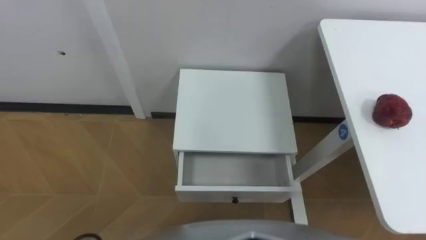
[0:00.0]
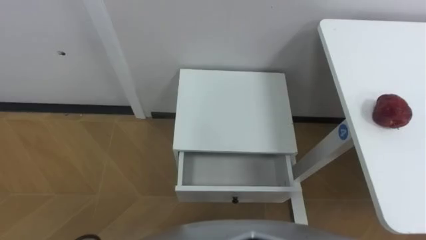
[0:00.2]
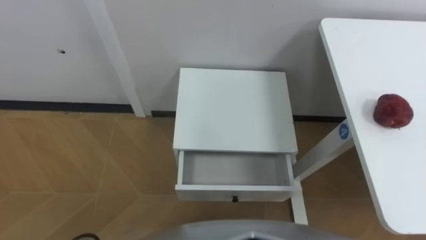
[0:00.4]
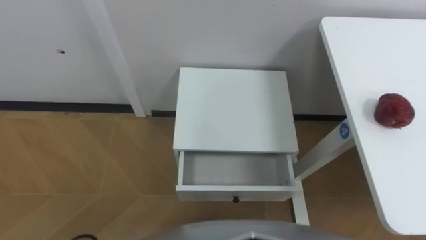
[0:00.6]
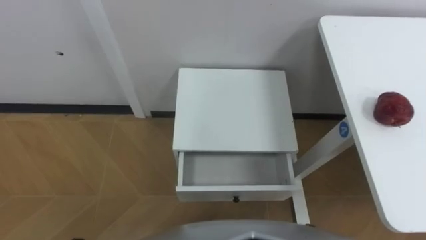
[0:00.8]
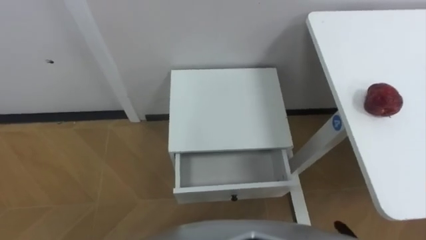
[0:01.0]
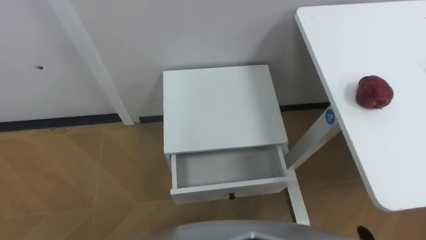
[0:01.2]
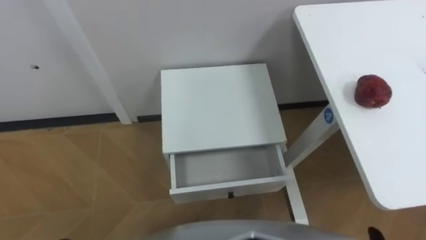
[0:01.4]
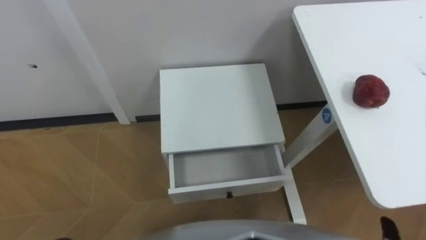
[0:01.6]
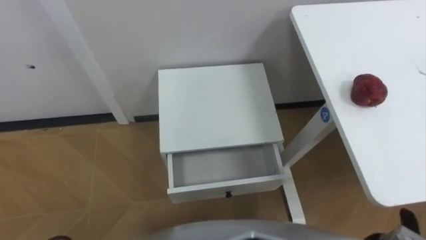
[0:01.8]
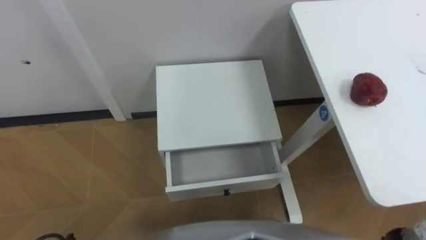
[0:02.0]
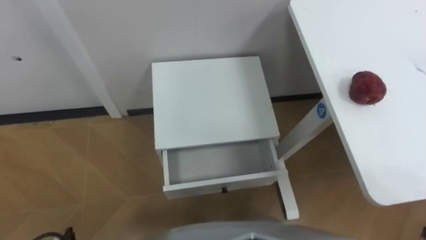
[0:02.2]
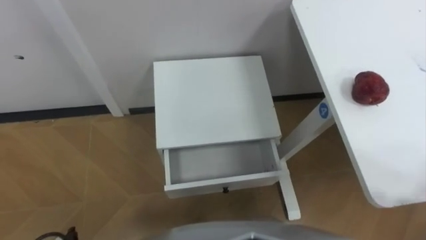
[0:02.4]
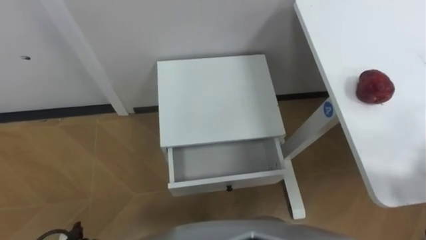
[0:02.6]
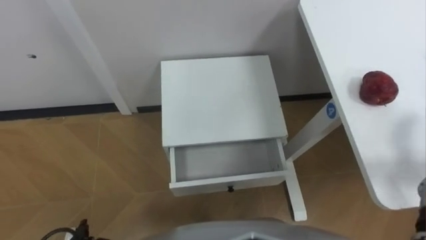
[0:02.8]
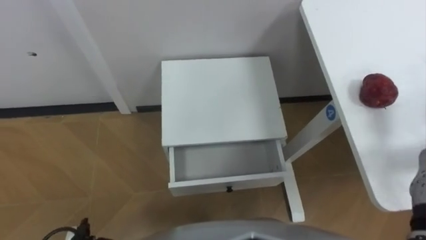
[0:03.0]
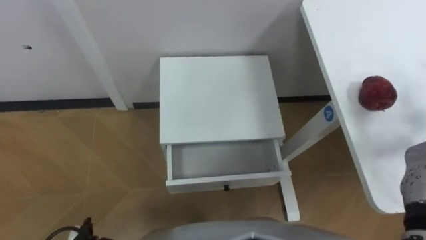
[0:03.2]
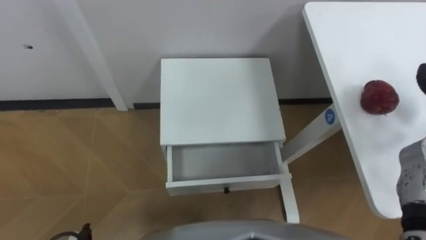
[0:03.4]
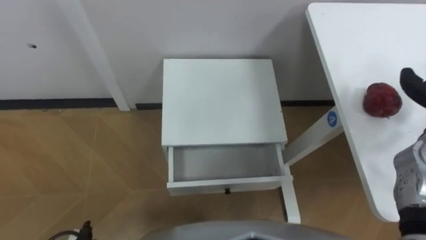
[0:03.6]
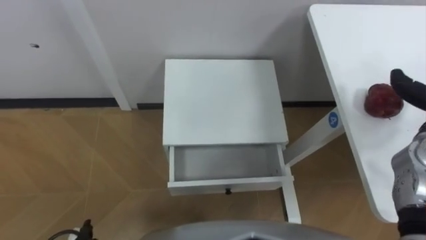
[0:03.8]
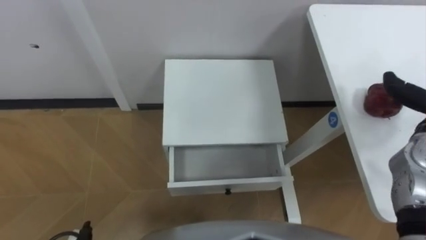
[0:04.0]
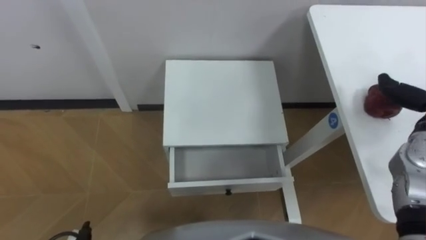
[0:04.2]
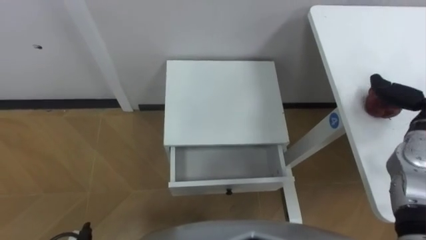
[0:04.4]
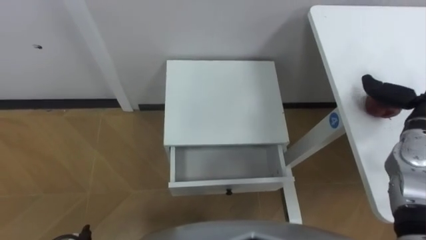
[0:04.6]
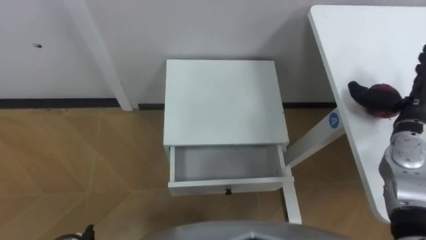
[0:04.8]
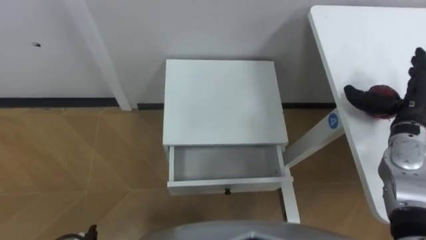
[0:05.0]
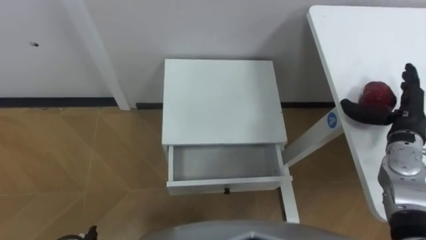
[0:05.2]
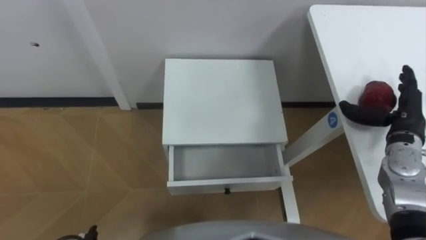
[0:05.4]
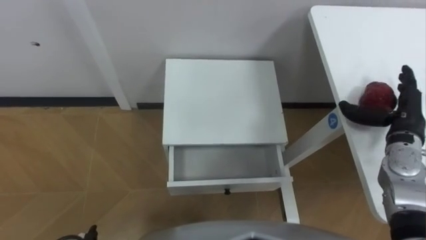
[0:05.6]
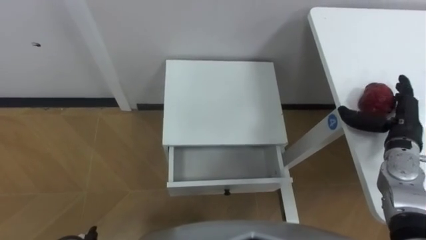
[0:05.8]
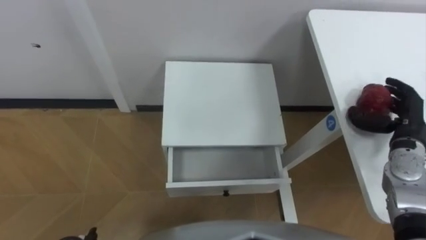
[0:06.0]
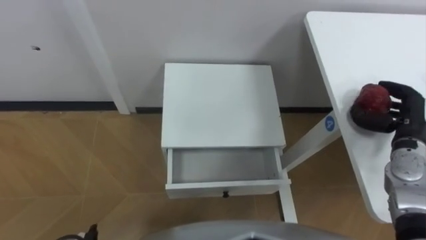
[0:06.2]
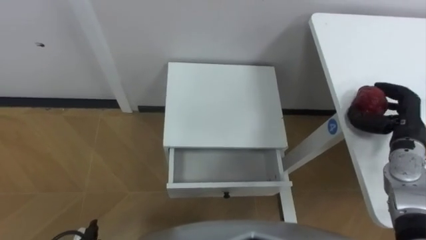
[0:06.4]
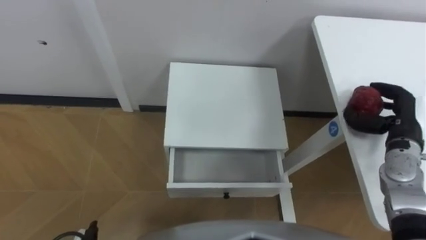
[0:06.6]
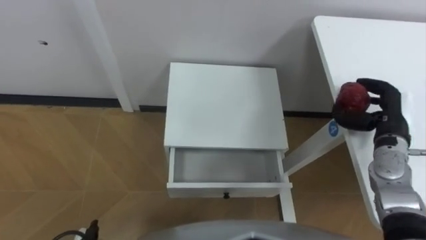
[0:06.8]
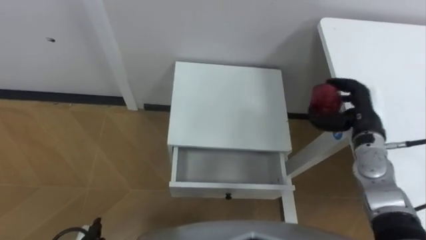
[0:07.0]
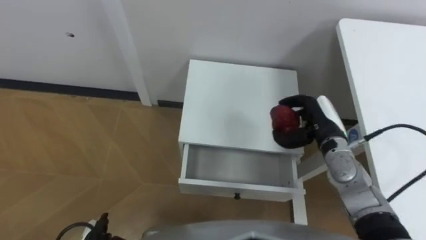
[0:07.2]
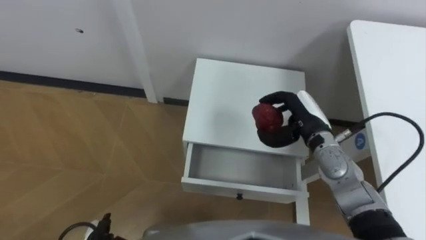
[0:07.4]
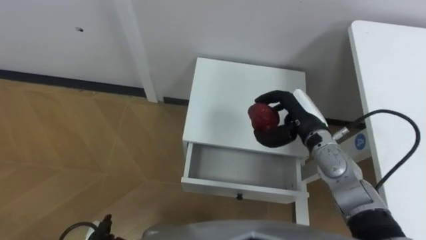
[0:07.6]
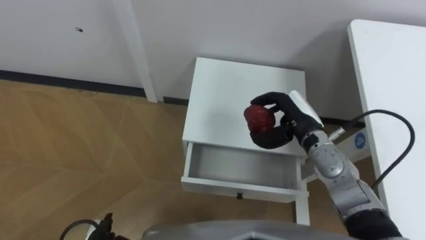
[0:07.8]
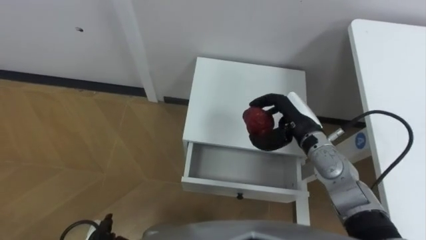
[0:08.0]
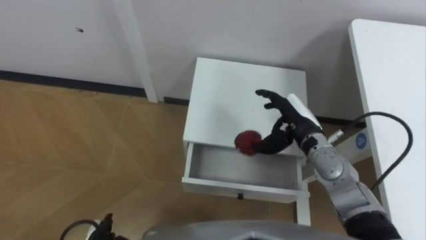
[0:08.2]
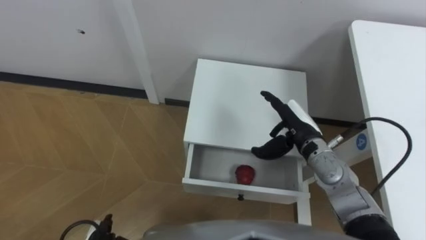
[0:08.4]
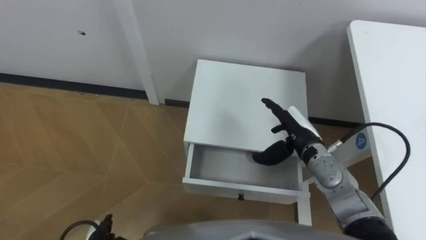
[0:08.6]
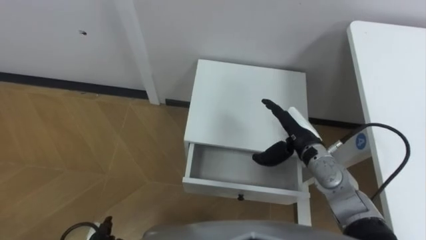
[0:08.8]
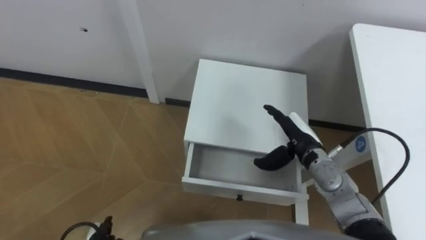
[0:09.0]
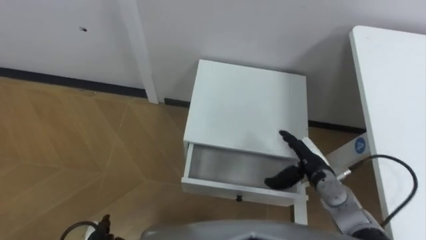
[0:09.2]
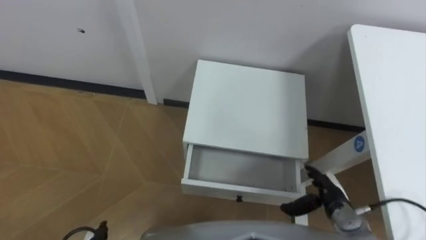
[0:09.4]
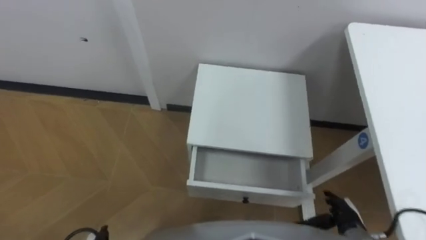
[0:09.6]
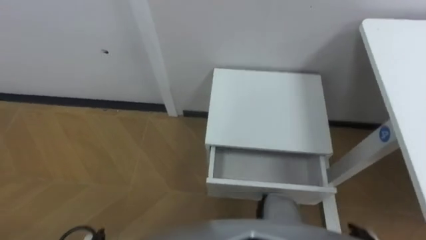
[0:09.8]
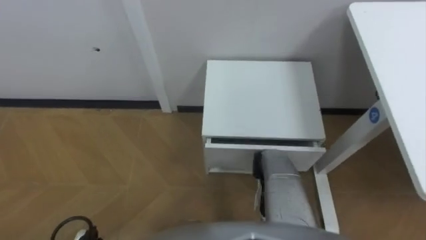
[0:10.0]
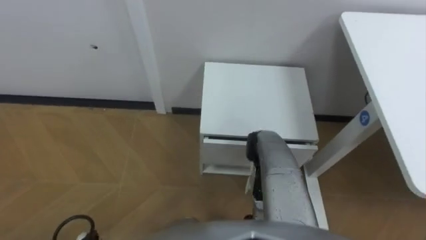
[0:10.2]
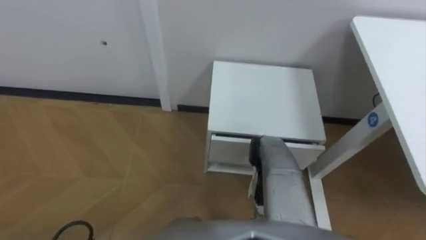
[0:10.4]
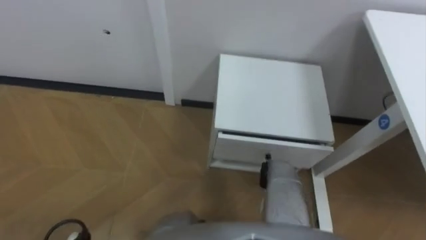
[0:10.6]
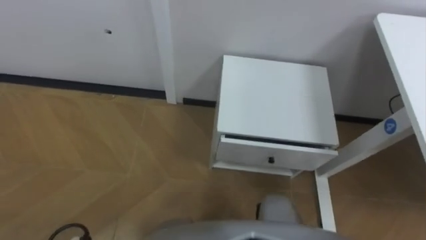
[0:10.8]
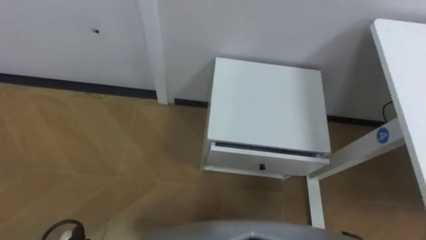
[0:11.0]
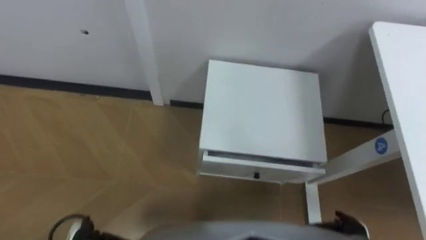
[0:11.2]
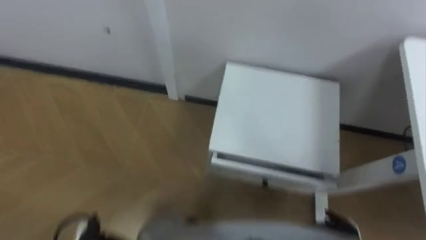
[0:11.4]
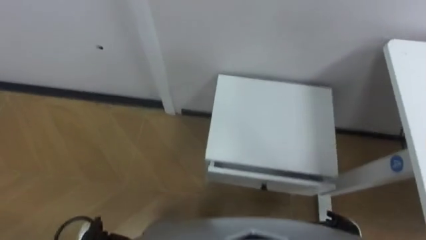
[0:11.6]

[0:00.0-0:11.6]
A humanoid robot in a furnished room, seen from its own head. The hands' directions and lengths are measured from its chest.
Task of the whole recording: Pick up the apple from the table, put it in the drawer, and close the drawer with leg.
0:05.8 to 0:07.2: The right hand heads to the left, covering approximately 15 cm, and closes.
0:07.2 to 0:08.8: The right hand shifts some 5 cm to the left, and opens its fingers.

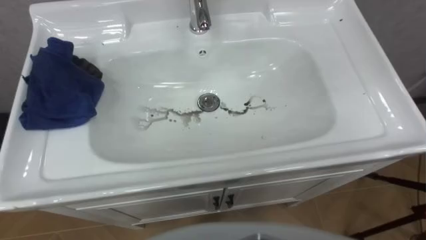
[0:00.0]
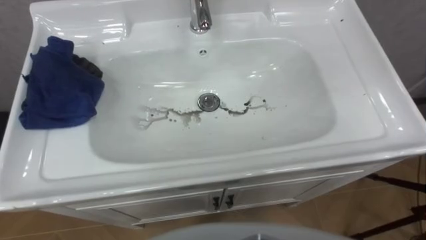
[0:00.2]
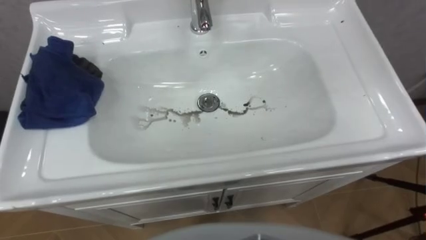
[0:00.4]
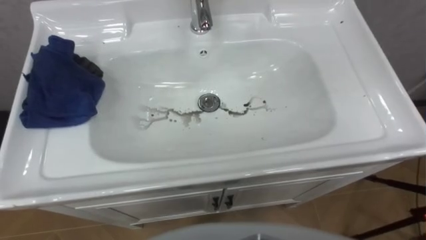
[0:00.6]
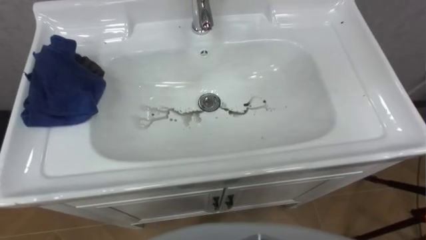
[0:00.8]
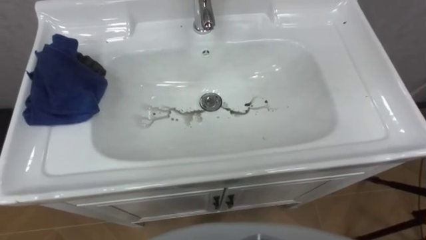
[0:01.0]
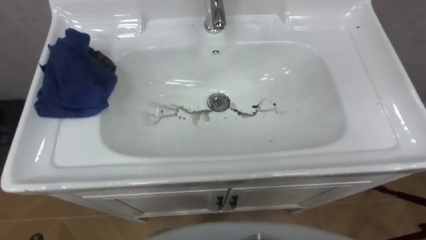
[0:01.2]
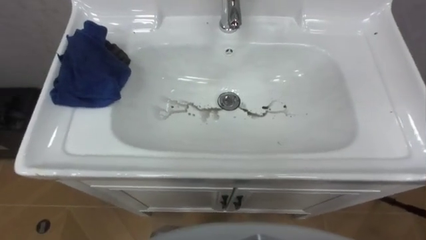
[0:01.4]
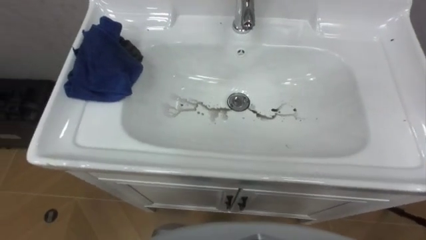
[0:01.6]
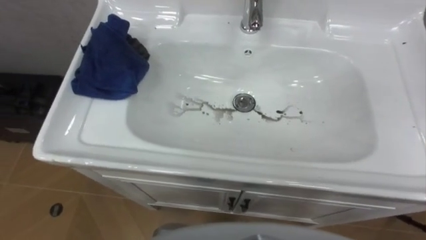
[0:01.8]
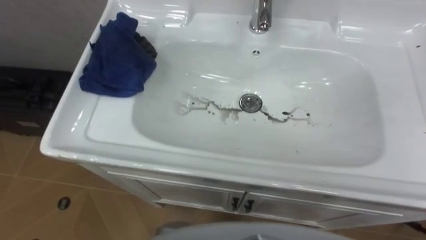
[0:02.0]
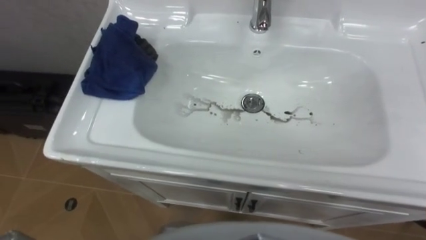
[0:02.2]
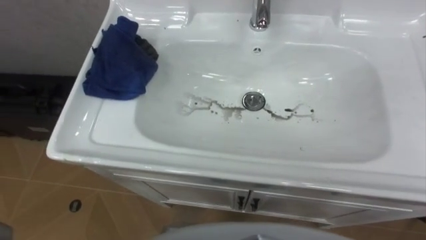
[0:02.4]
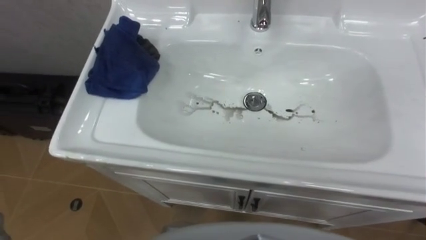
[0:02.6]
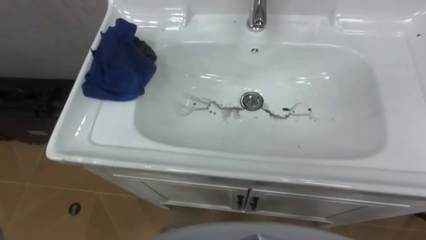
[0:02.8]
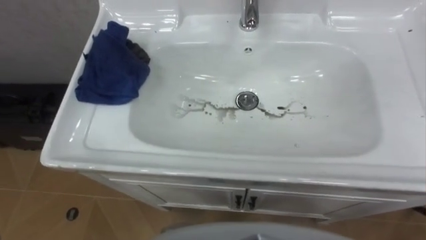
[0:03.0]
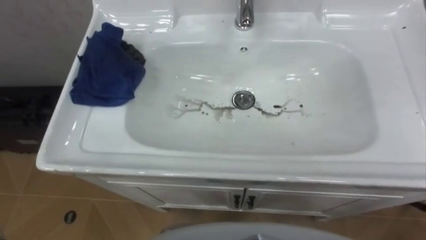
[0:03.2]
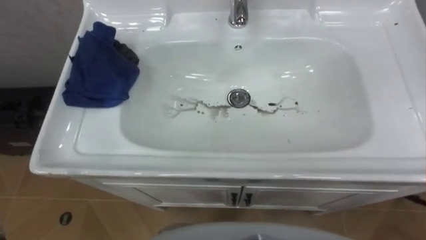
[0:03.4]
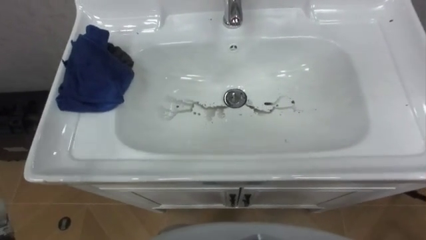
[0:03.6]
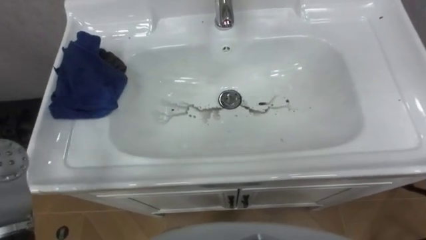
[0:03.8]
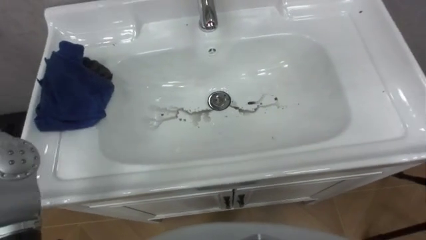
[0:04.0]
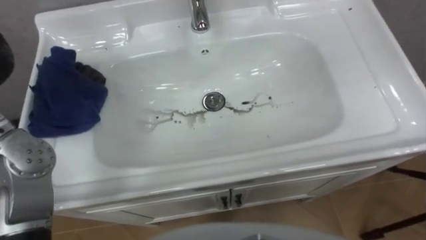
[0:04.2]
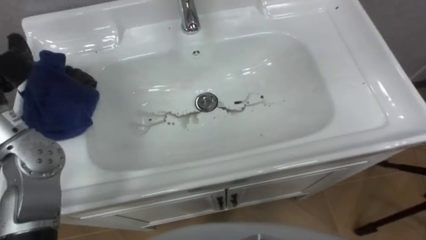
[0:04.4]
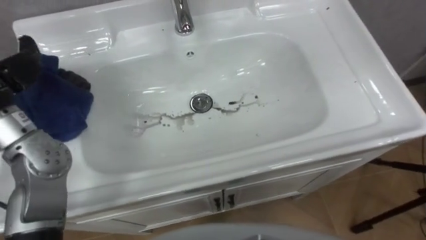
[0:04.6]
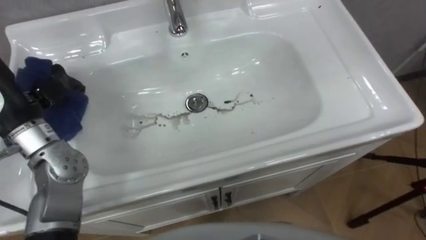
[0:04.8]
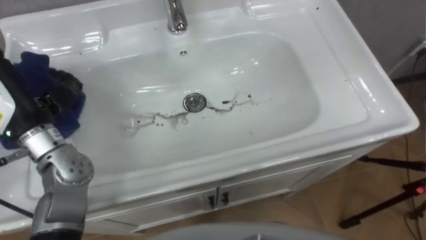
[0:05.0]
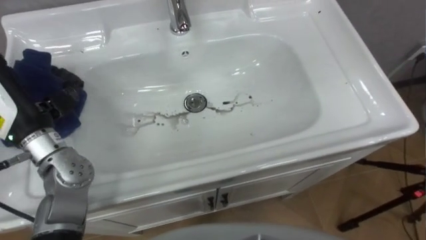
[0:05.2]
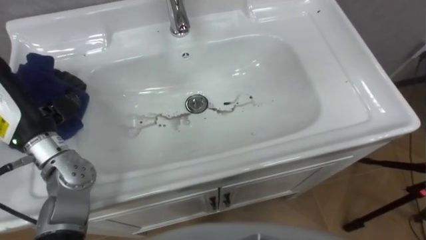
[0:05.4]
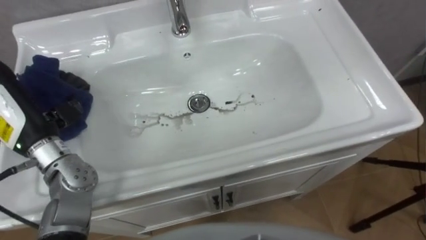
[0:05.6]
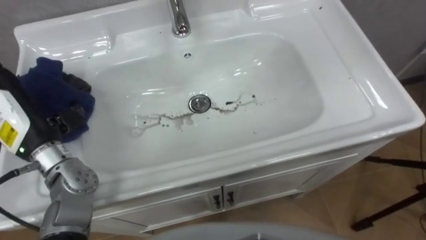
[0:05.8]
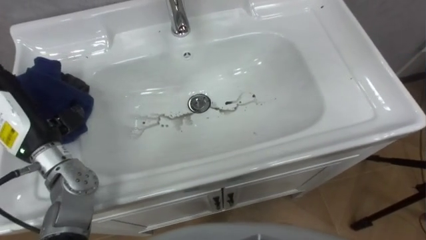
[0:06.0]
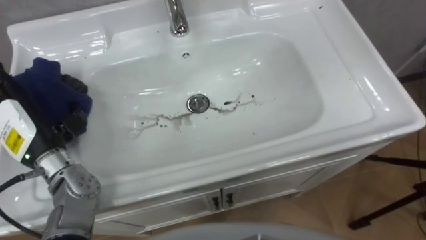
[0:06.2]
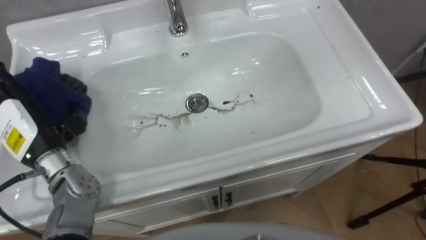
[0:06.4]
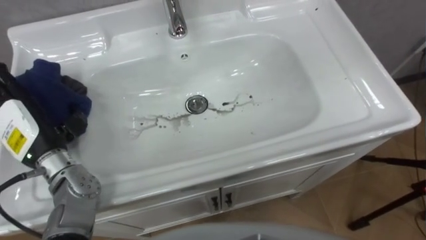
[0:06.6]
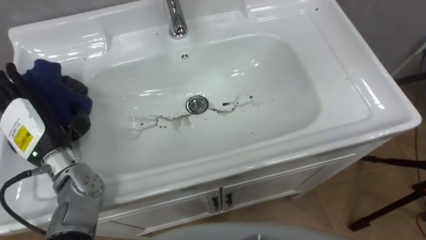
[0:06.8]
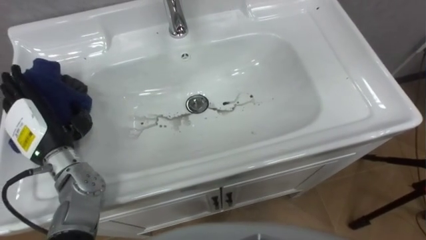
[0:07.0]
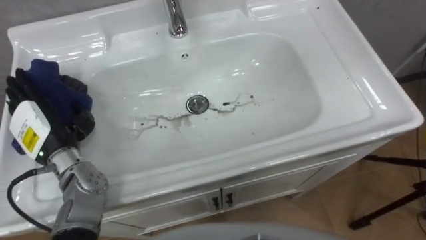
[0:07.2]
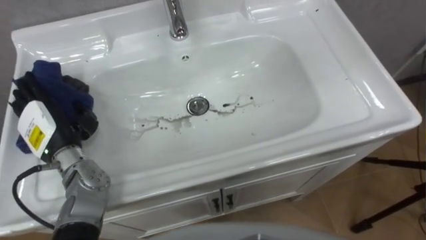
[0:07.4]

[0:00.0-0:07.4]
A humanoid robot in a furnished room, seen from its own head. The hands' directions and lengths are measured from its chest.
Task of the whole recording: Use the cloth on the right to wipe away the black stain in the sink.
0:06.0 to 0:07.4: The left hand heads downward, covering roughly 5 cm.
